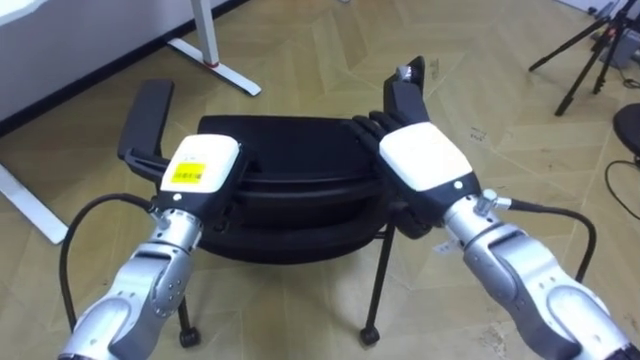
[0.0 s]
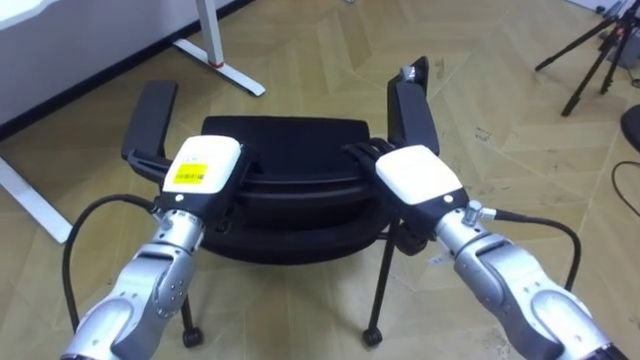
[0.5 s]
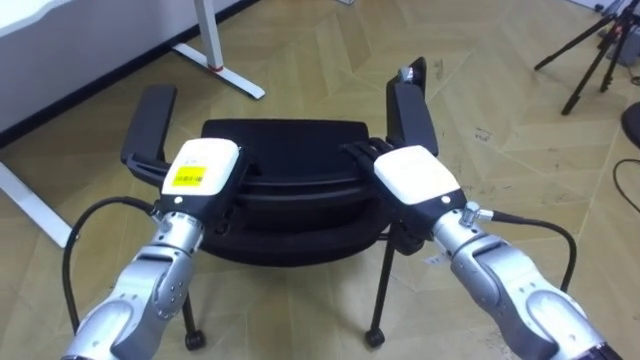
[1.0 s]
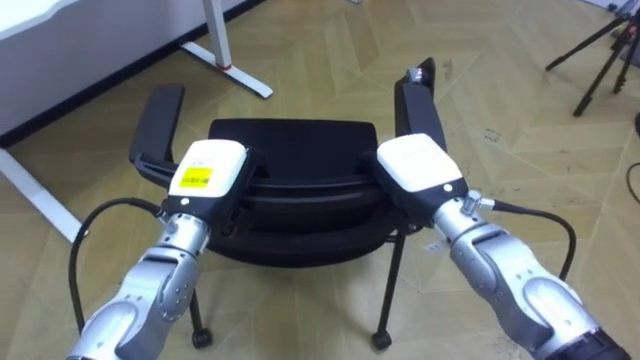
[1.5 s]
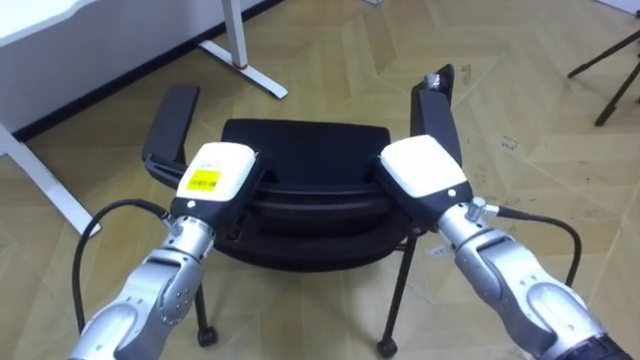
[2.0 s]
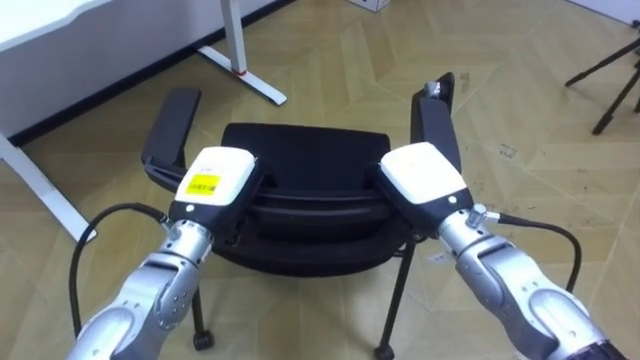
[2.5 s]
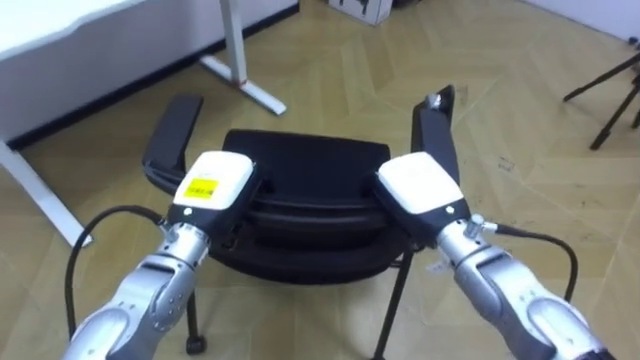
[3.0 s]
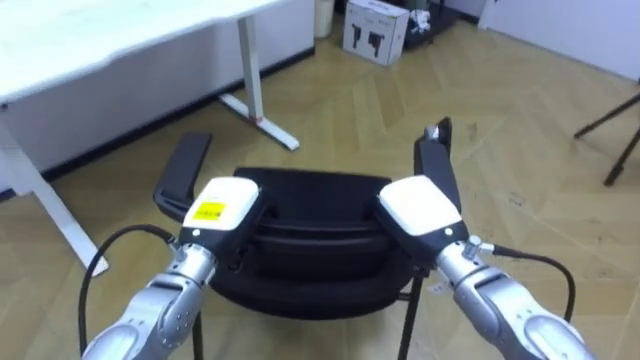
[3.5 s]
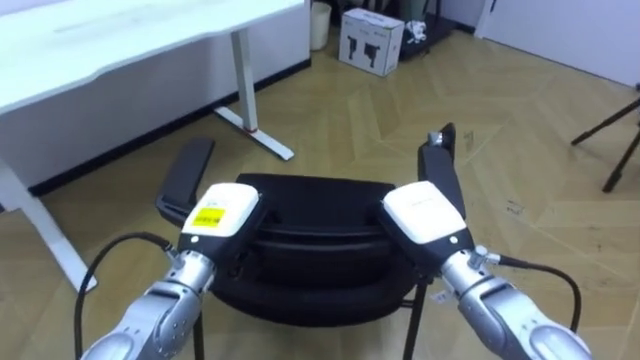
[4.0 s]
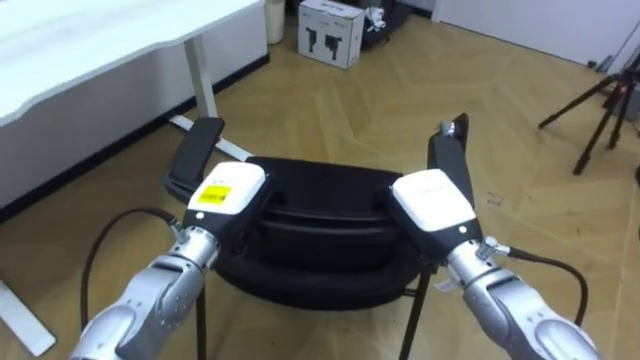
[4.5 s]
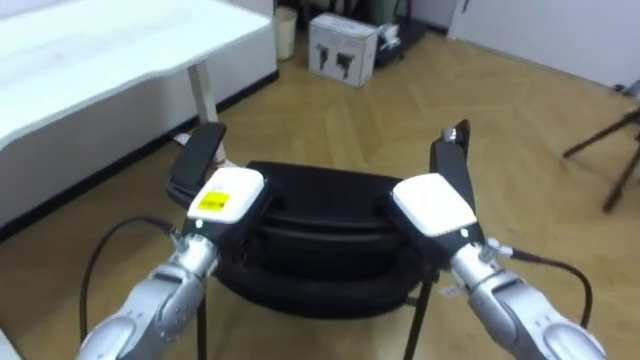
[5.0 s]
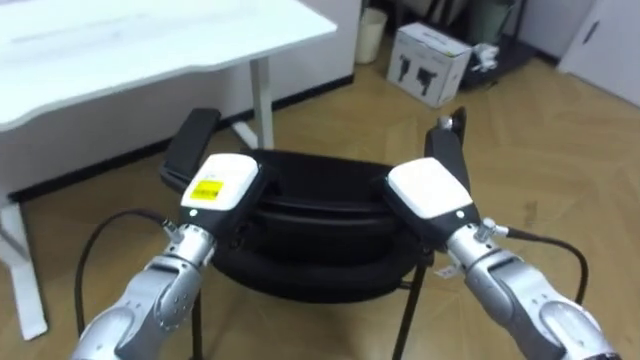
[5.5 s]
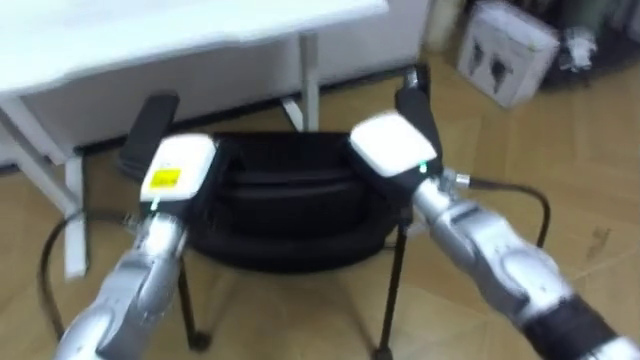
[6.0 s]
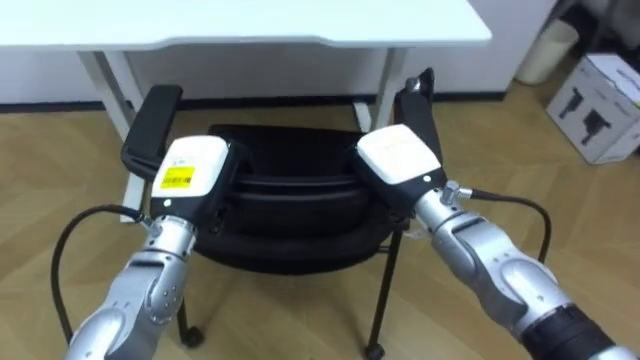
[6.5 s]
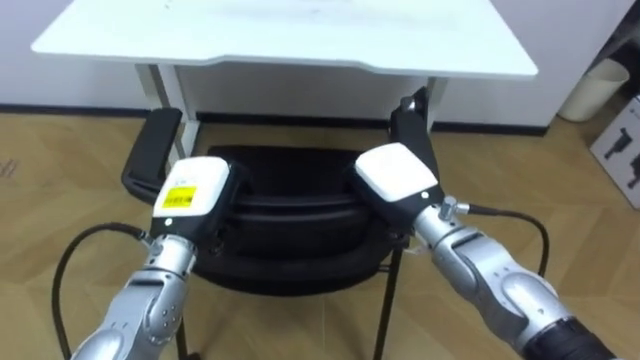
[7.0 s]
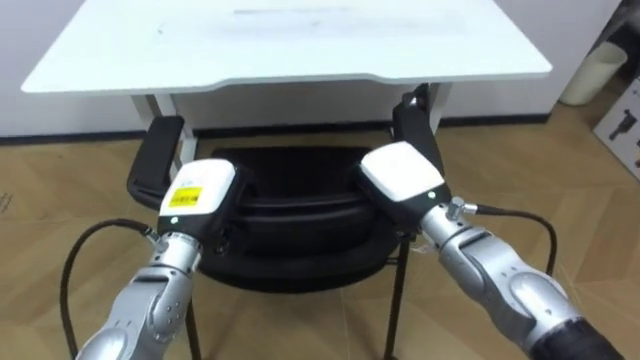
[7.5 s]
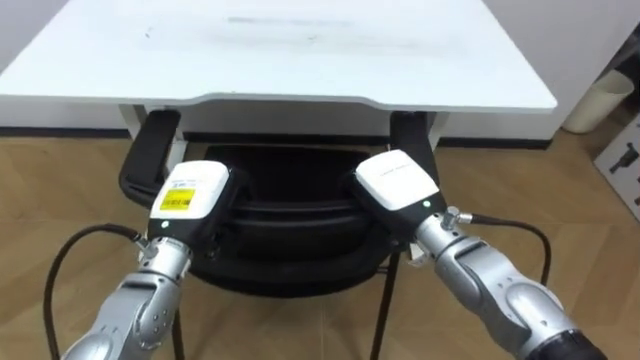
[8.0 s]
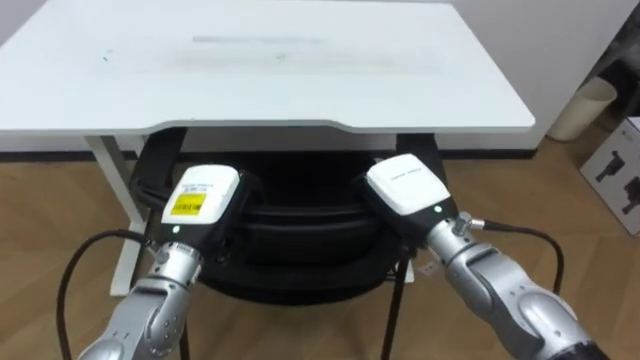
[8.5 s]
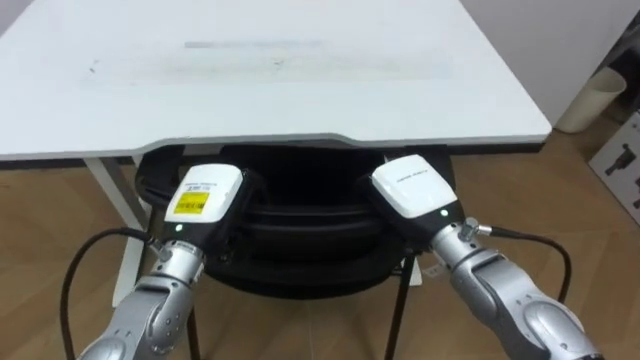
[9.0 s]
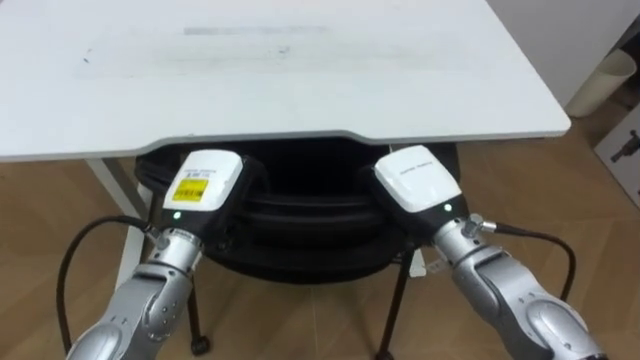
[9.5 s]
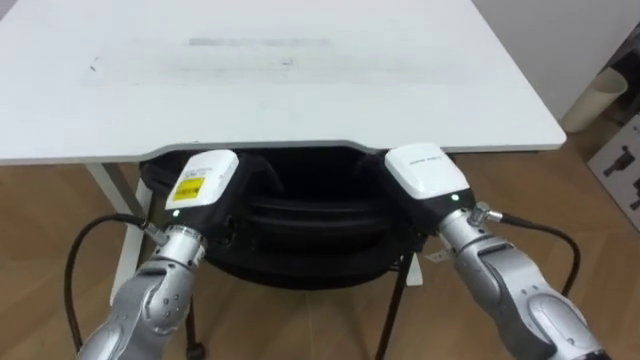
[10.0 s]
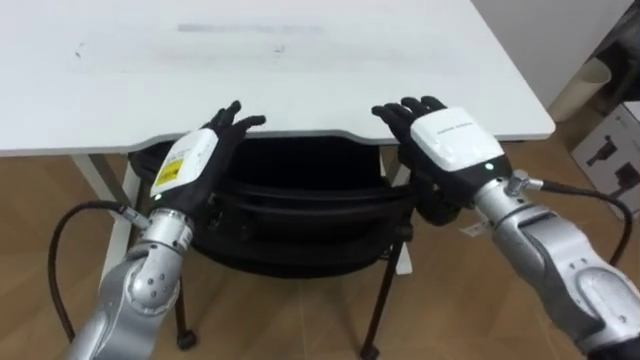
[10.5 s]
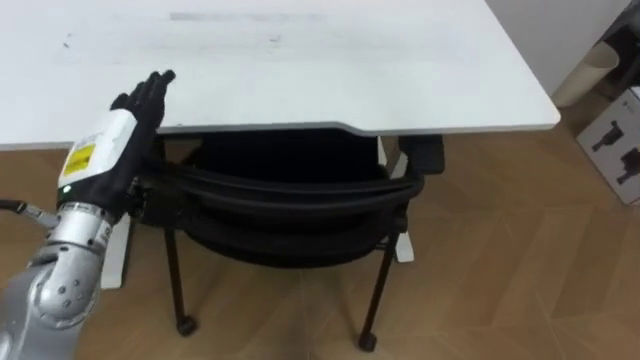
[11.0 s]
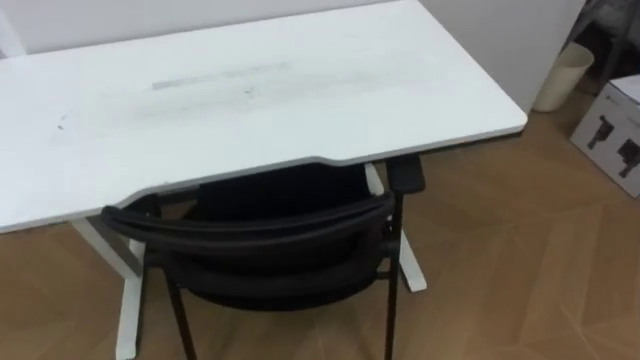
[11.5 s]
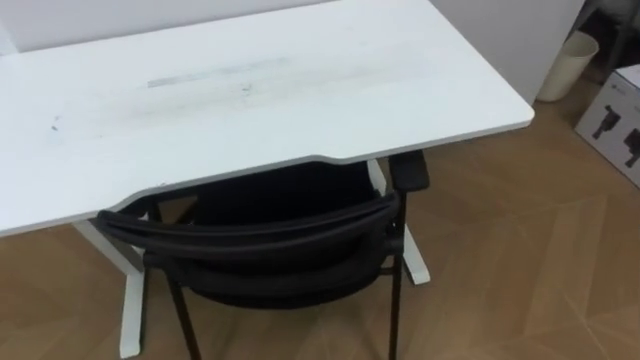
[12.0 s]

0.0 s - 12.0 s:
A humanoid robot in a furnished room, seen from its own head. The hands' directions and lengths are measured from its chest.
Task of the whole recording: Push the chair under the table.
0.0 s - 2.0 s: The right hand closes.
2.0 s - 4.0 s: The left hand shifts by some 5 cm; the right hand shifts by some 5 cm.
4.0 s - 6.0 s: The robot turns to its left by approximately 20 degrees. The left hand goes about 5 cm upward. Meanwhile the right hand travels upward and forward by some 10 cm.
6.0 s - 8.0 s: The robot turns to its left by approximately 25 degrees.
8.0 s - 10.0 s: The right hand opens up.

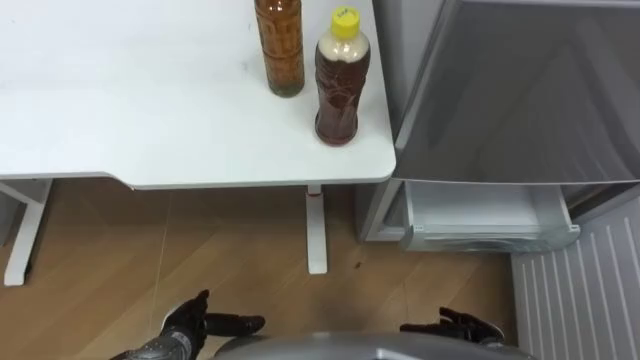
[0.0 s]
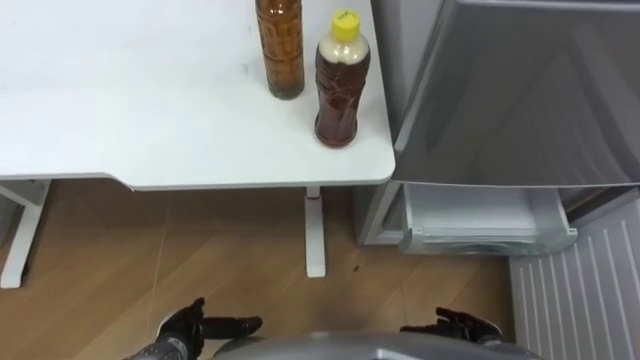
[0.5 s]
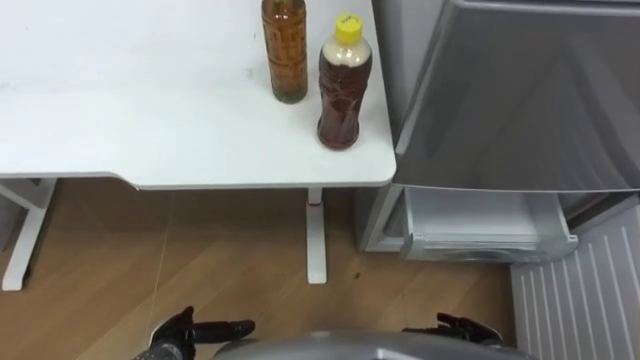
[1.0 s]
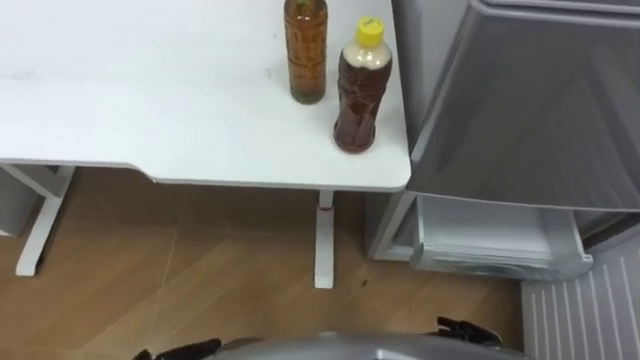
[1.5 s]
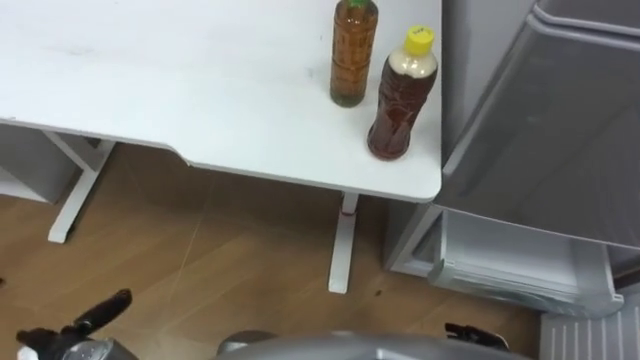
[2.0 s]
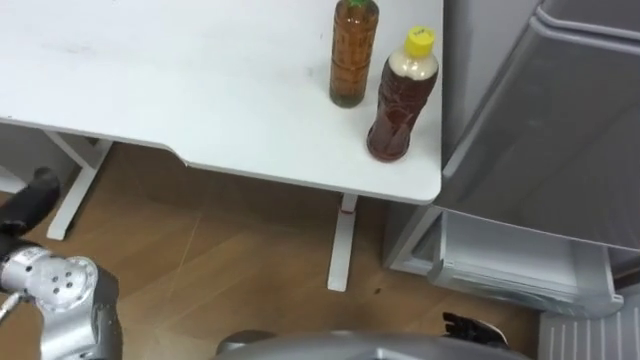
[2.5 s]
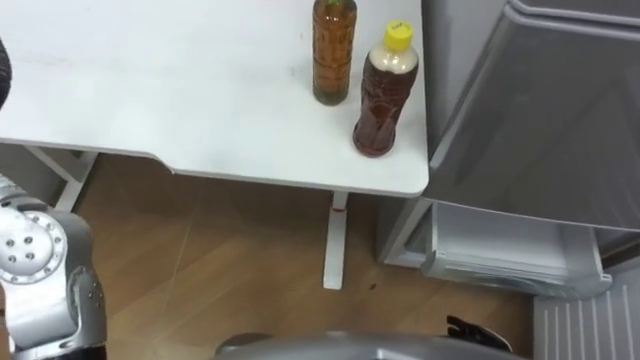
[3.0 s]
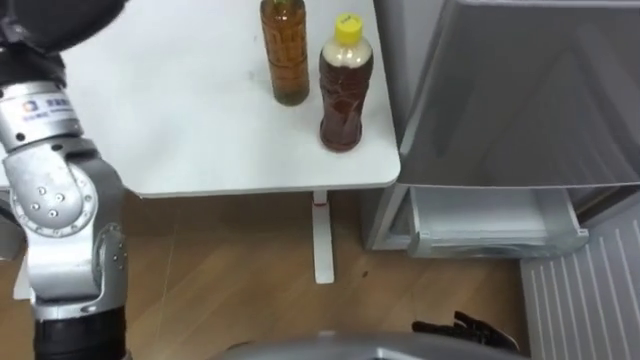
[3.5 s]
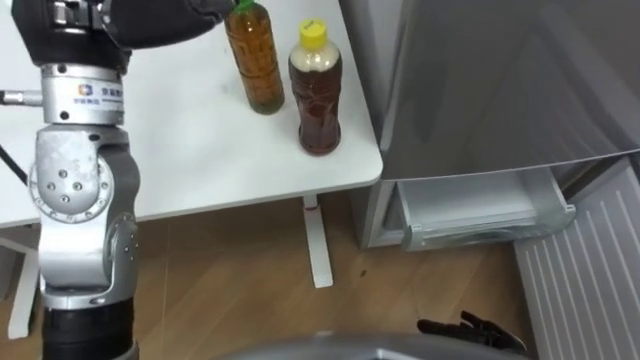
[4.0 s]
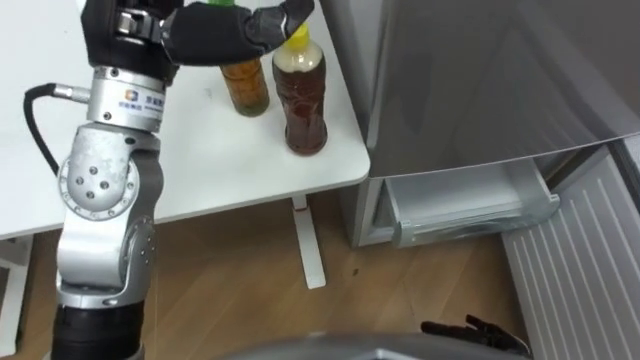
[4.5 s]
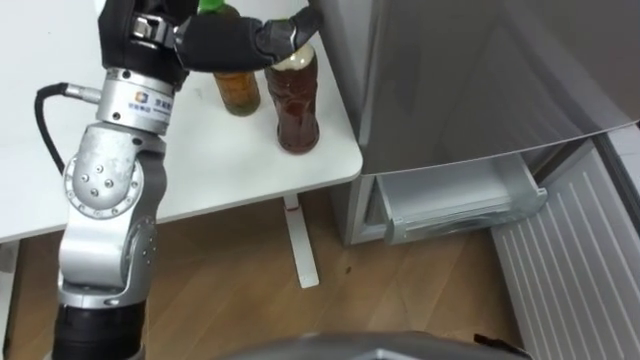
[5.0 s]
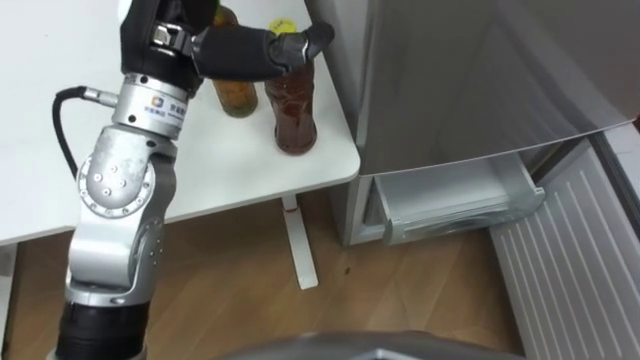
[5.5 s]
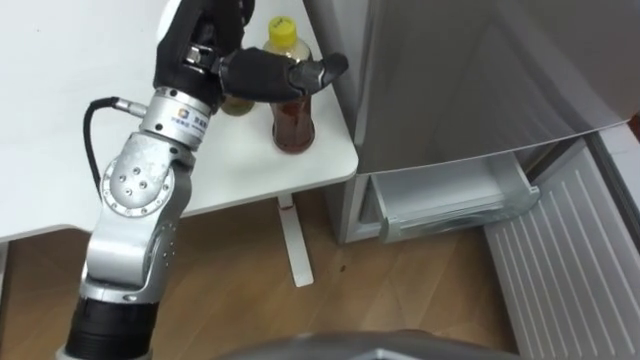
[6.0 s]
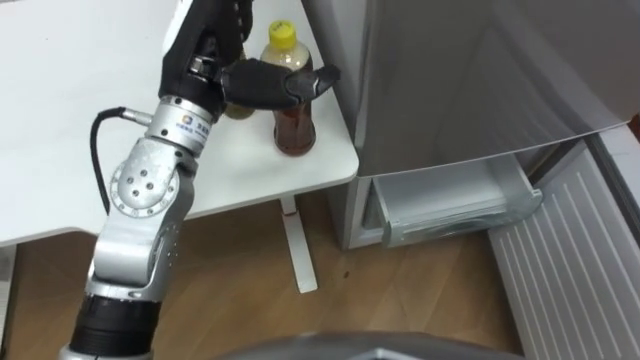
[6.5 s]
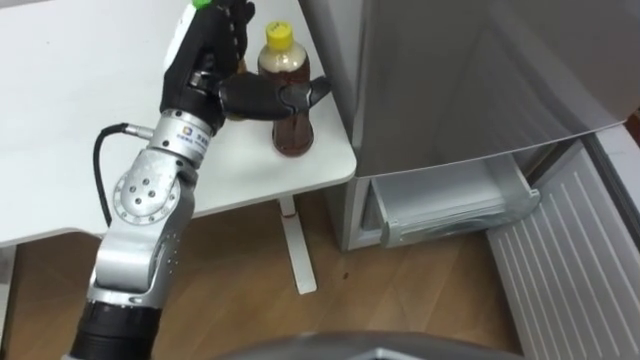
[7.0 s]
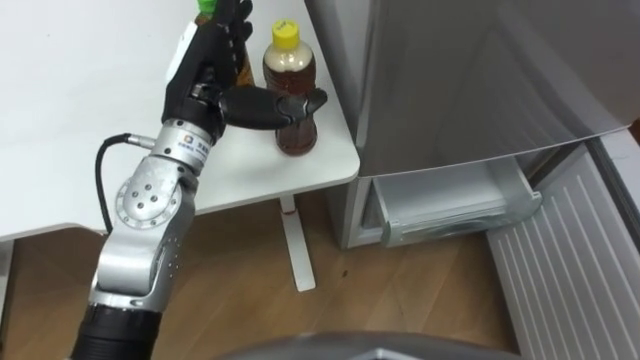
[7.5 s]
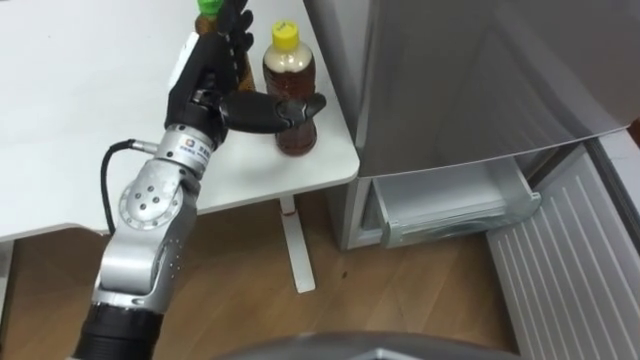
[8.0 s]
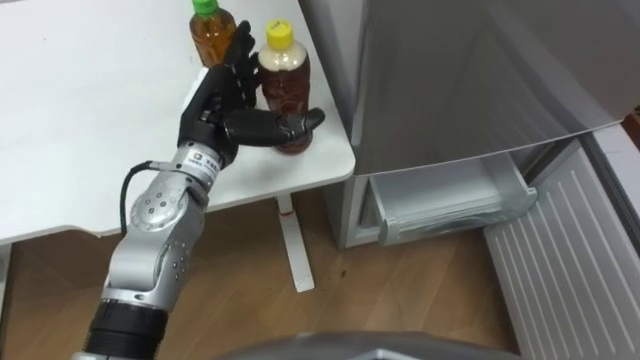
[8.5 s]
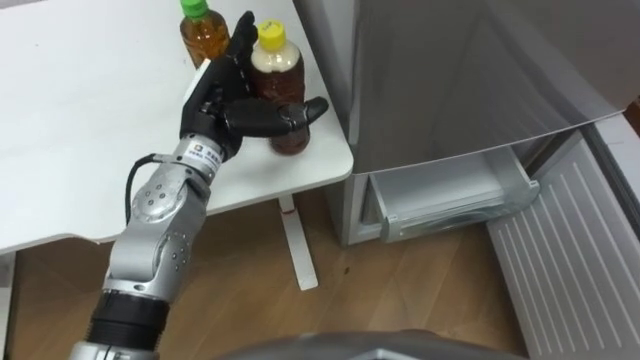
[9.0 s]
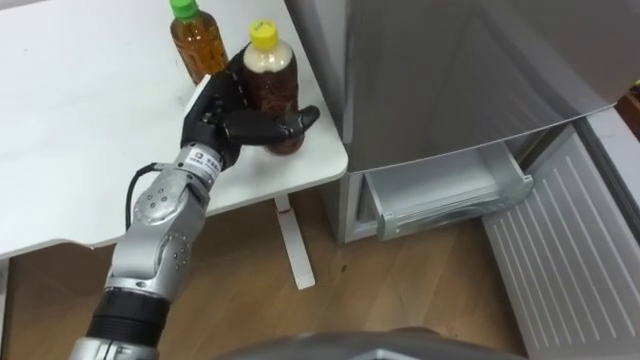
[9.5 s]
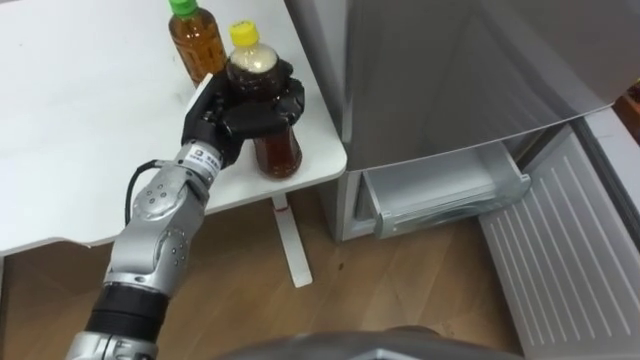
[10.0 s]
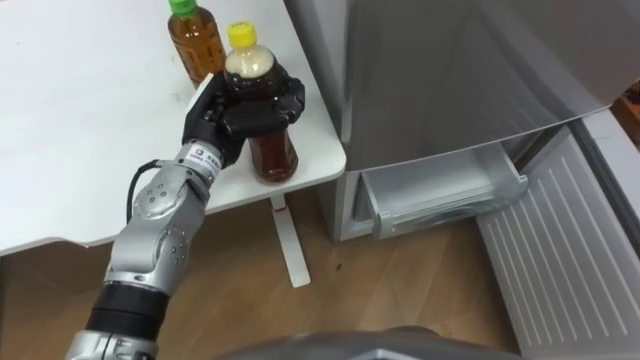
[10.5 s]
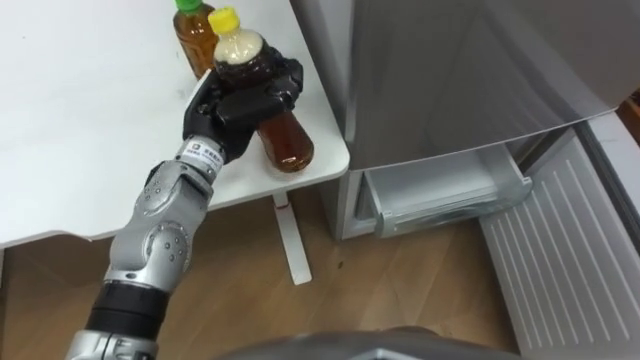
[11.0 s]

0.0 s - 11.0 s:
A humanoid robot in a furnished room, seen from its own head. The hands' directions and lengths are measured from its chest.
Task of the whole recording: Place the drink on the table on the bottom shelf of the refrigerator, then close the drawer and the refrigerator door.
5.5 s - 7.5 s: The left hand travels downward by about 10 cm.
7.5 s - 9.0 s: The left hand moves downward, about 5 cm.
9.0 s - 11.0 s: The left hand closes its fingers.
